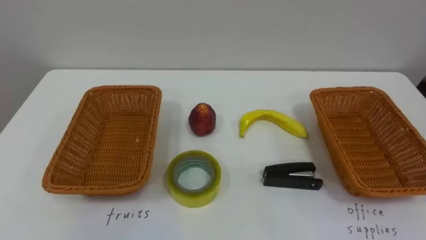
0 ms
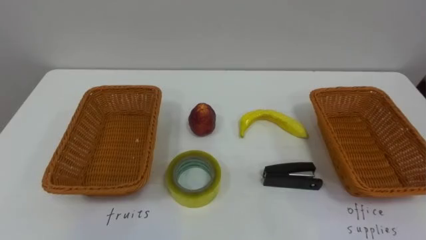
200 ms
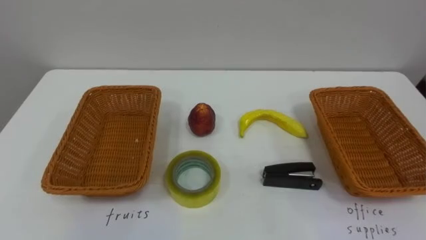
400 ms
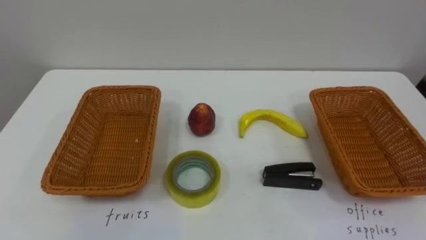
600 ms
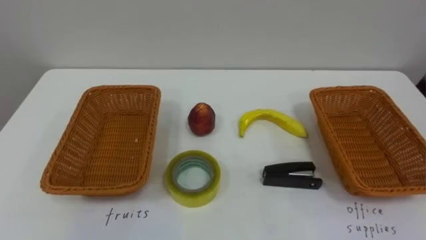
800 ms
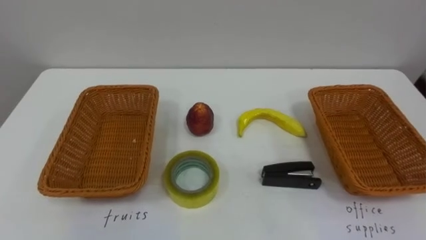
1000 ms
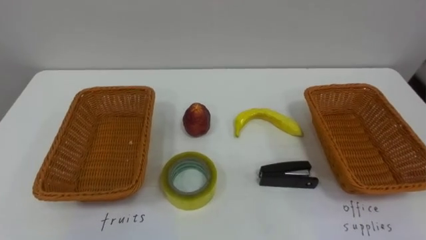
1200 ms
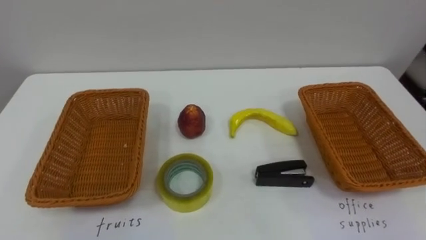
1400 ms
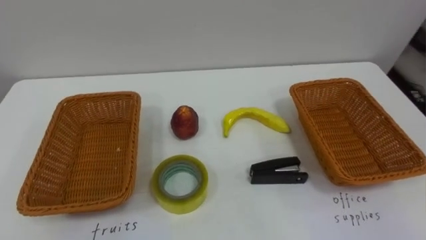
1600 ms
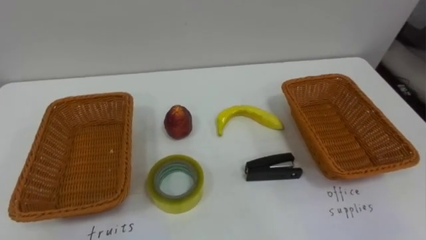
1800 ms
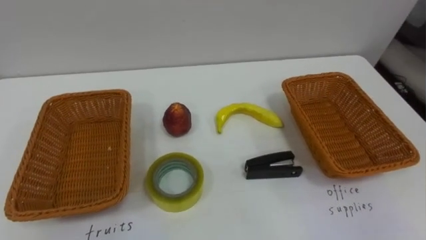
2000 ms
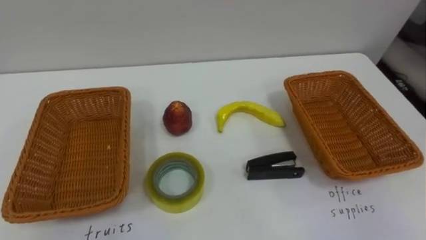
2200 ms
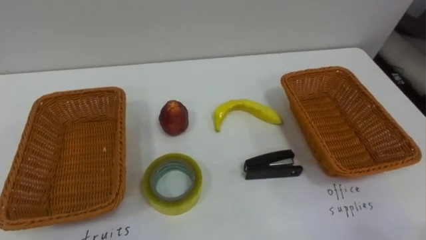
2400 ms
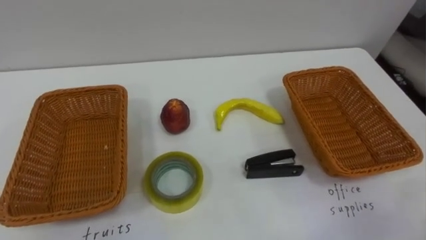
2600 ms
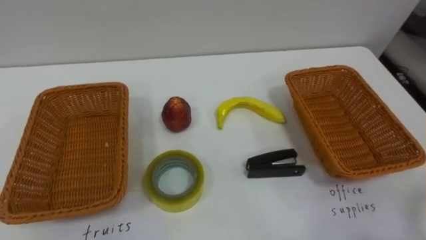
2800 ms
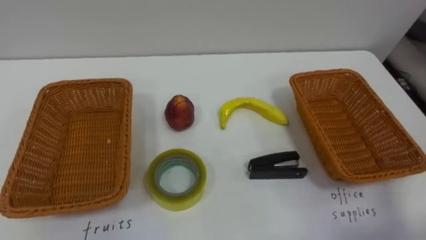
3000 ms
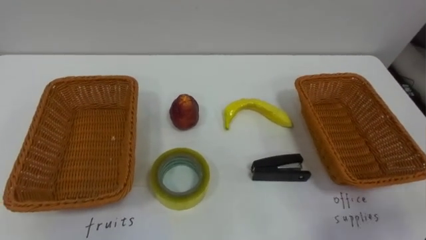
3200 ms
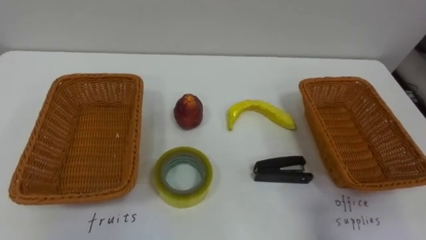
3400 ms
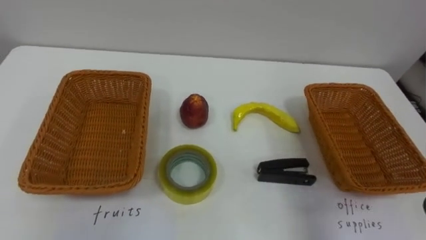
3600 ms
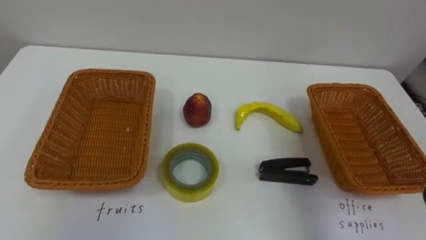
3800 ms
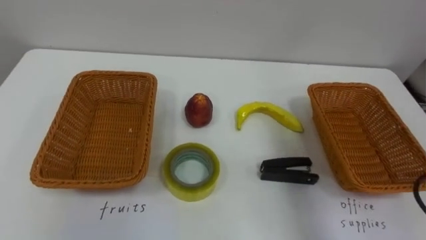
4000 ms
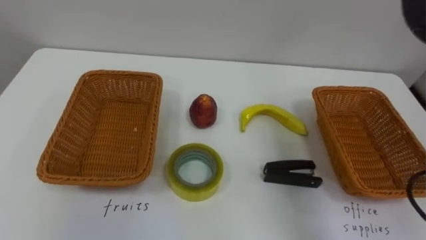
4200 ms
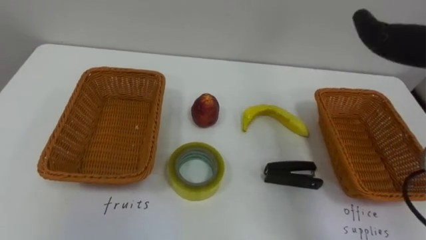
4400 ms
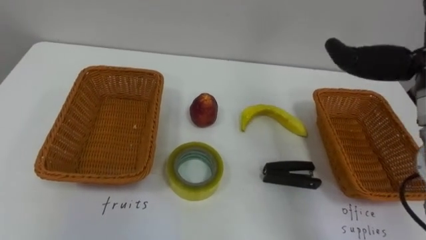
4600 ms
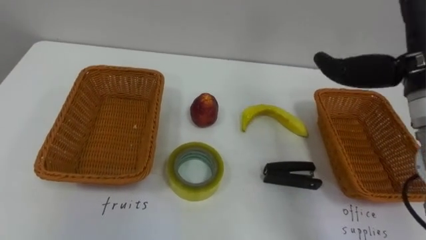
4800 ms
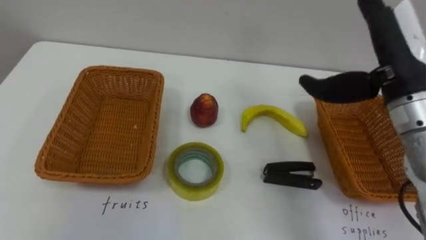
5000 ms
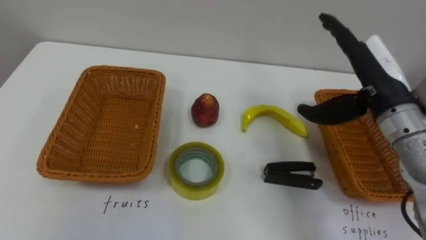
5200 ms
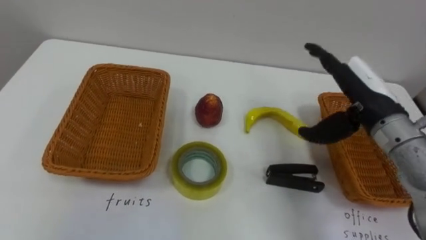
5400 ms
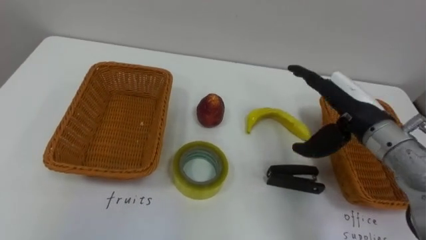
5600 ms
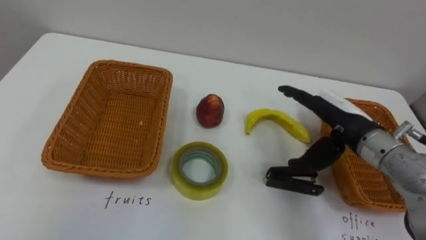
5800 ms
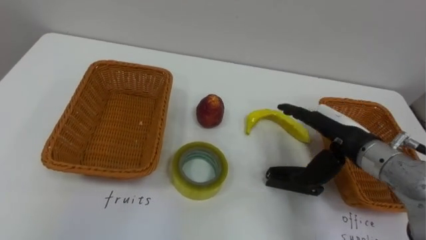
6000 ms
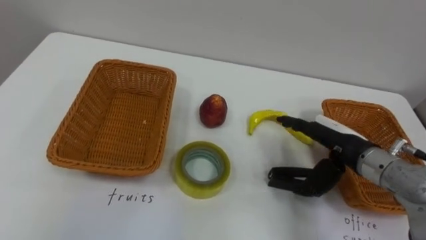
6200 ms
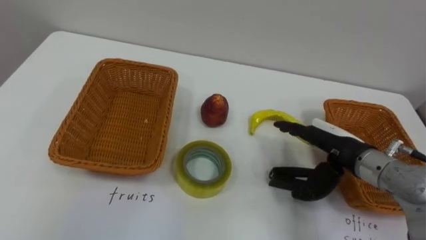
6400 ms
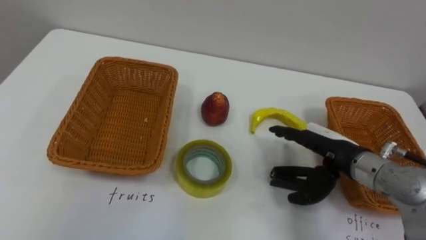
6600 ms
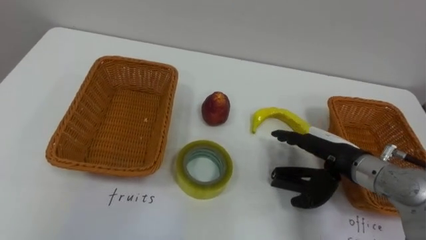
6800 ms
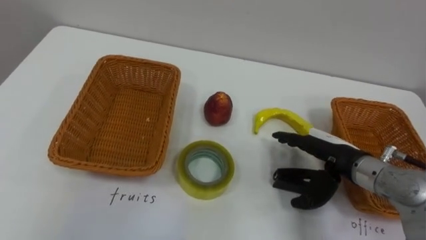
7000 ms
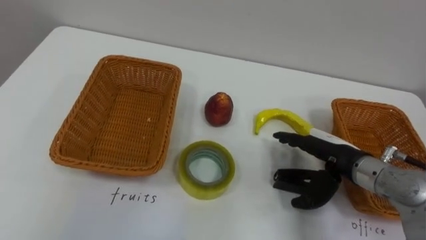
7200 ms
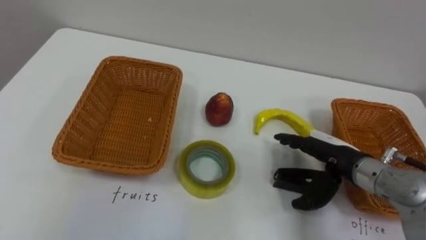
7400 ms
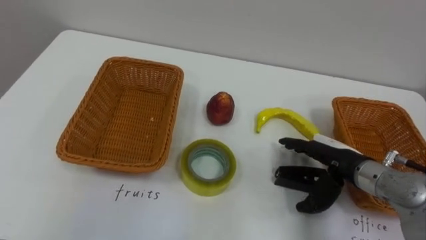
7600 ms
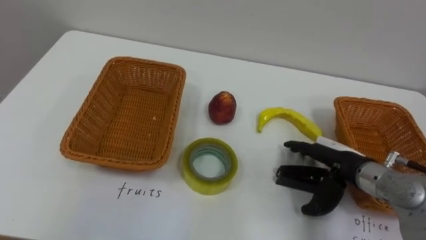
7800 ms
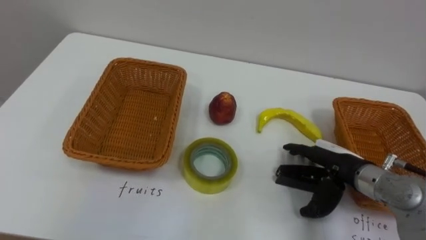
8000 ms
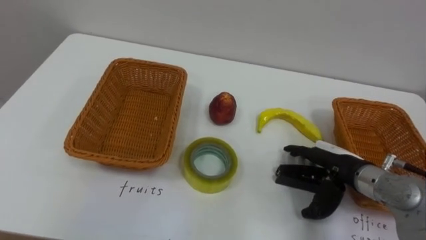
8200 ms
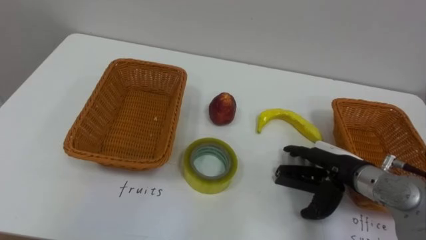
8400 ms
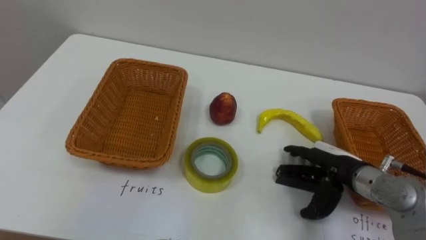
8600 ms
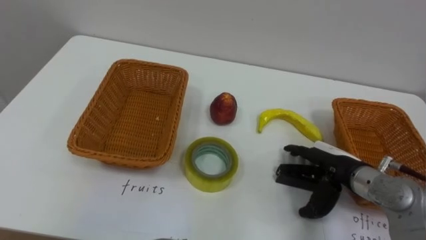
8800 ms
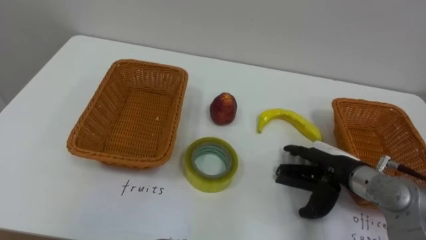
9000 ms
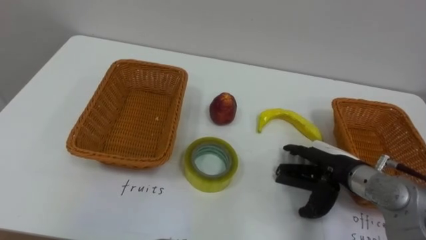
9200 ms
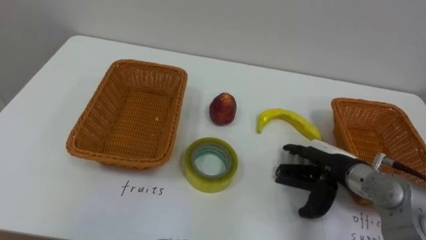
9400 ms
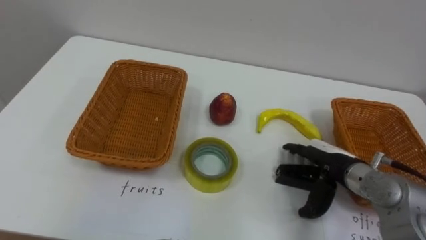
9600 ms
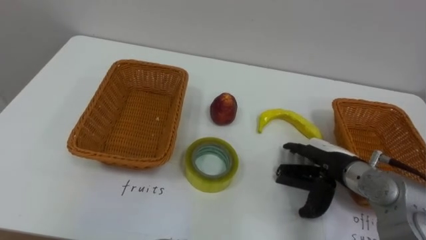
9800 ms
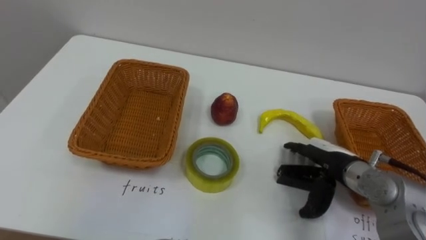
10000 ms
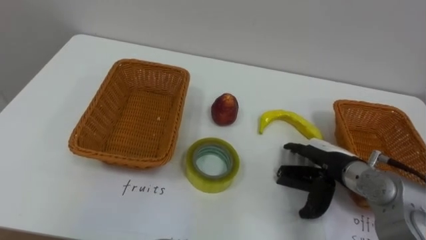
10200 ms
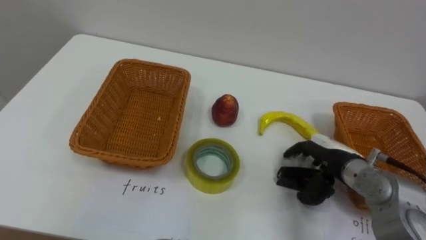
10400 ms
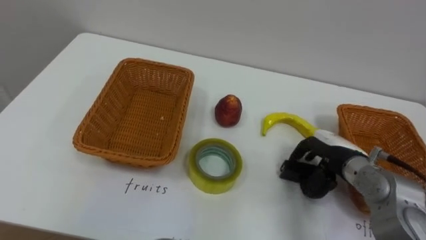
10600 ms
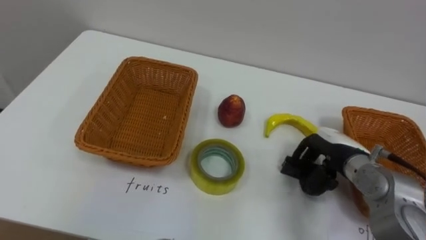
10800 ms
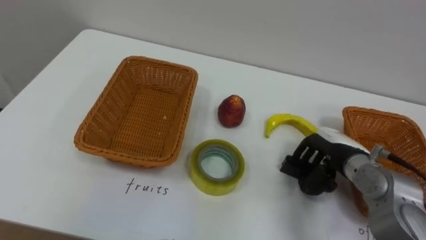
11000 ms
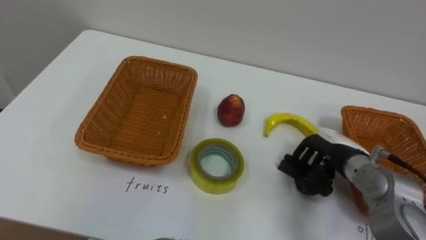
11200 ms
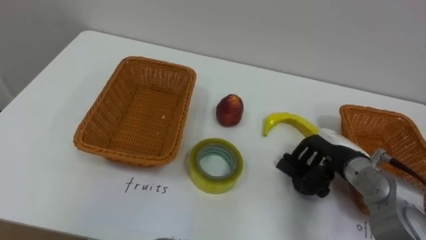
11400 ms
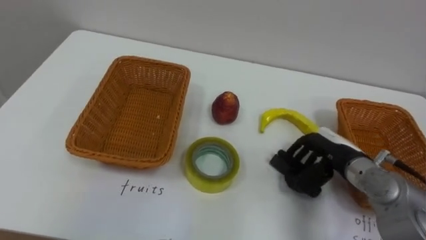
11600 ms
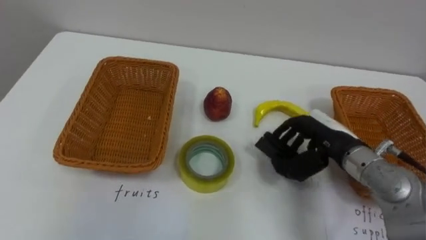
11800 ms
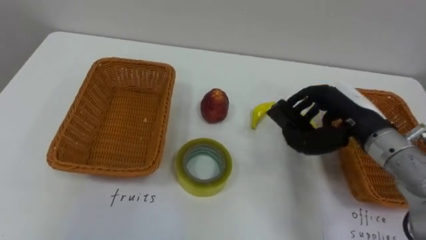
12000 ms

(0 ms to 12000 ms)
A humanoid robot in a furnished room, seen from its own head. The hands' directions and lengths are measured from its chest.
Task of the whole recording: Separate the items on the table and place them into the two baskets.
6000 ms - 7600 ms: The right hand is displaced downward by approximately 5 cm.
10400 ms - 12000 ms: The right hand moves upward, about 10 cm, and closes its fingers.

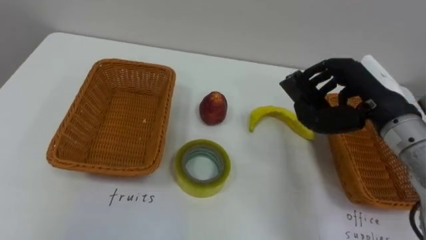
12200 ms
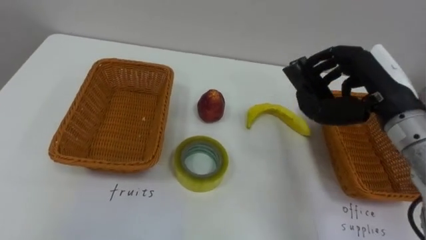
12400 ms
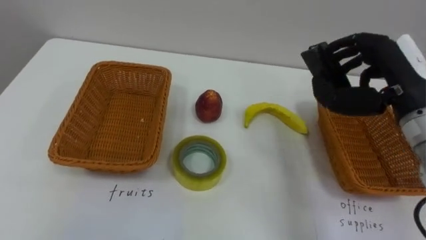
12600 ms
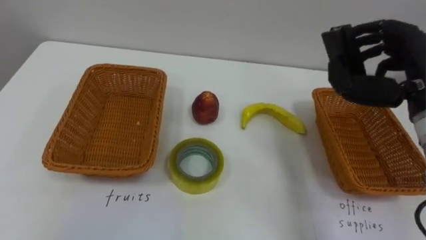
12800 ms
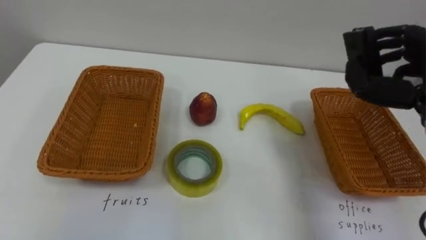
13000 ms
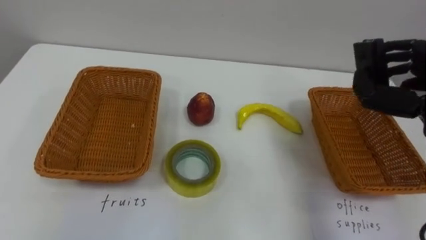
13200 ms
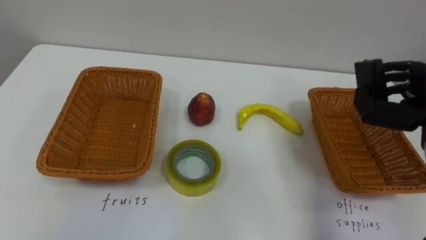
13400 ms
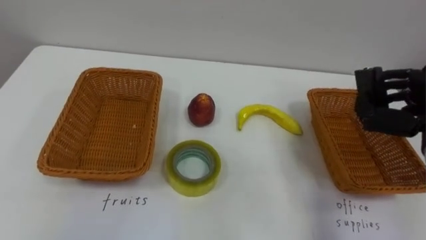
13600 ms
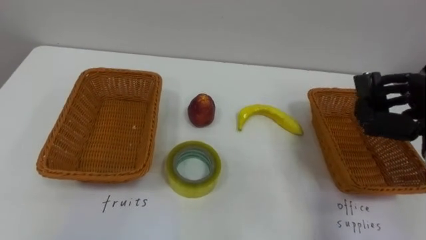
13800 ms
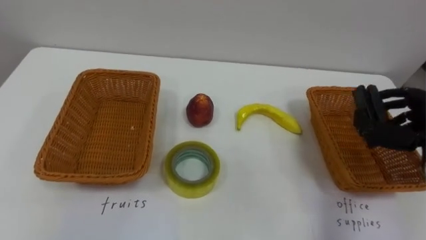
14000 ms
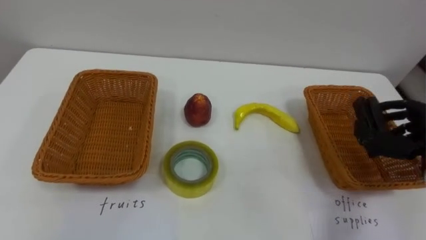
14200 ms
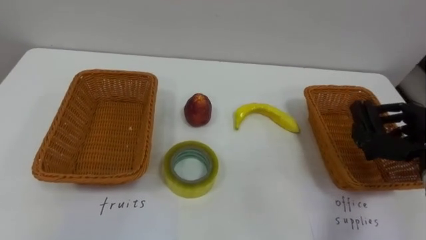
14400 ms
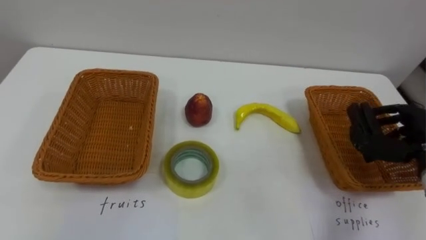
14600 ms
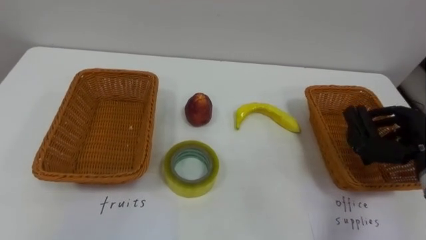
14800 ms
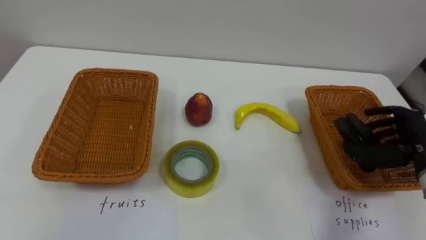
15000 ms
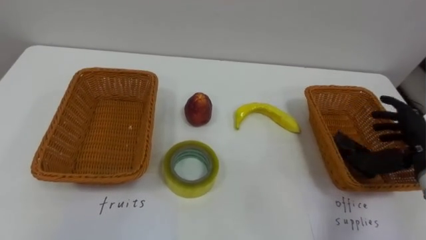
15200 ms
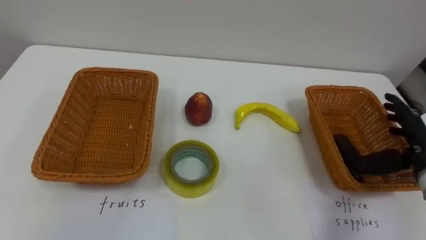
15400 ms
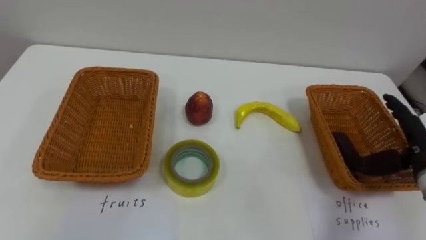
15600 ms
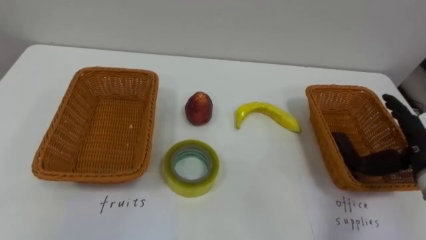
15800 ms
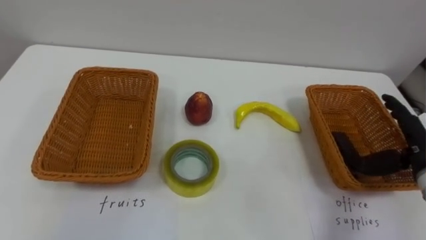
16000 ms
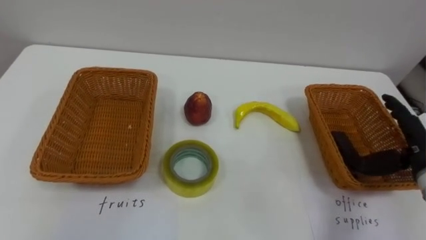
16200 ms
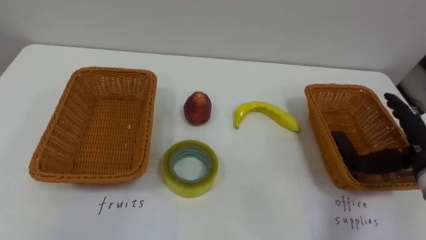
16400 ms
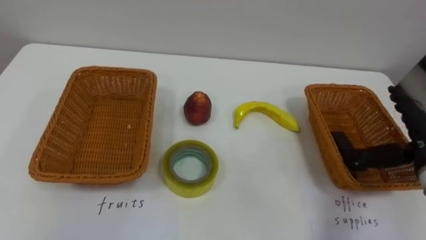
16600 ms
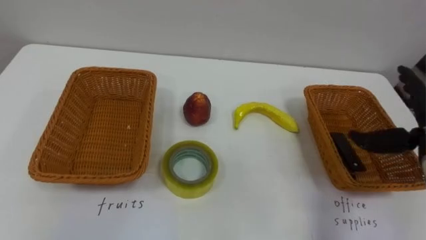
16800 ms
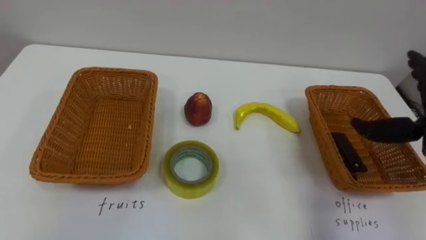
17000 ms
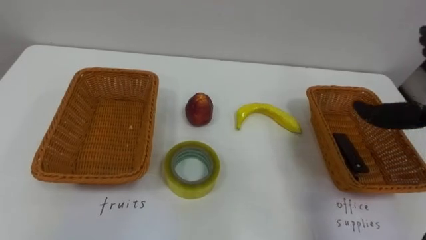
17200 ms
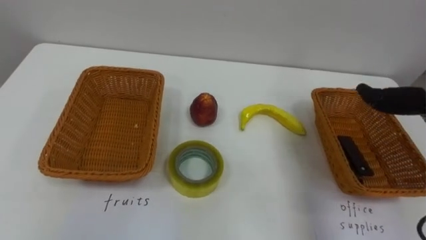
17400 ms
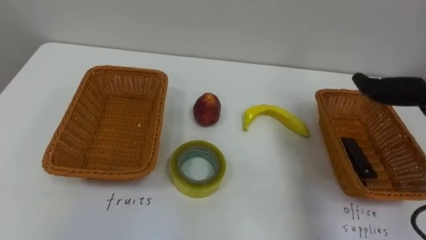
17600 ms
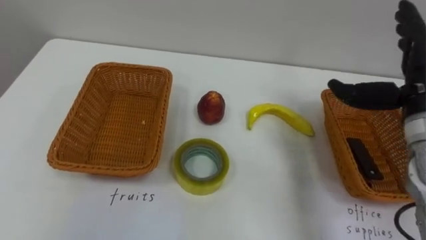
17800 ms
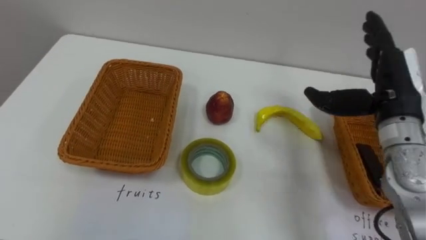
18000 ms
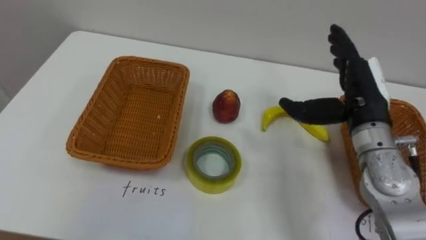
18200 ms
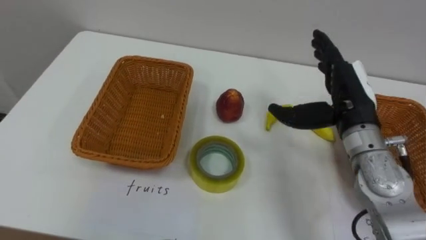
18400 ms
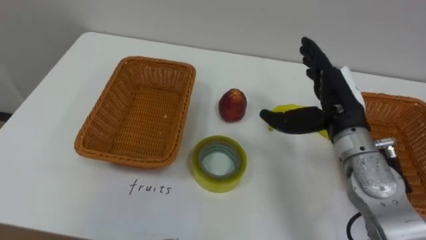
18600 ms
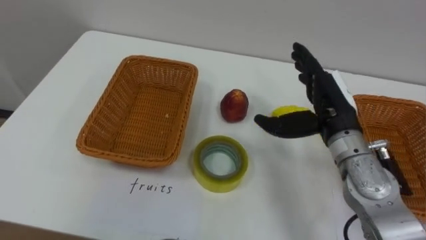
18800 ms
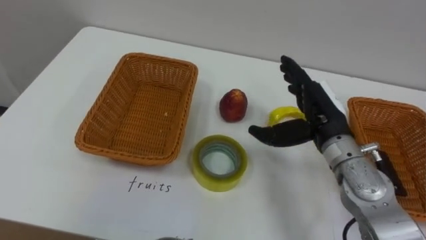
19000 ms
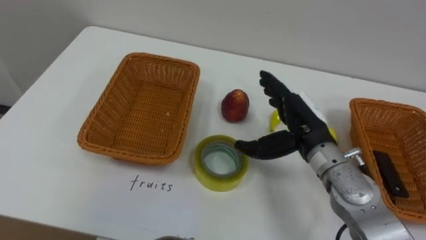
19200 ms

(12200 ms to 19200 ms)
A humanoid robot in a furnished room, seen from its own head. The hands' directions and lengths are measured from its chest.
Task of the whole recording: Separate the items on the table and place them into the two baskets.
15000 ms - 16400 ms: The right hand opens up.
17800 ms - 19200 ms: The right hand is displaced to the left and downward by about 15 cm.
